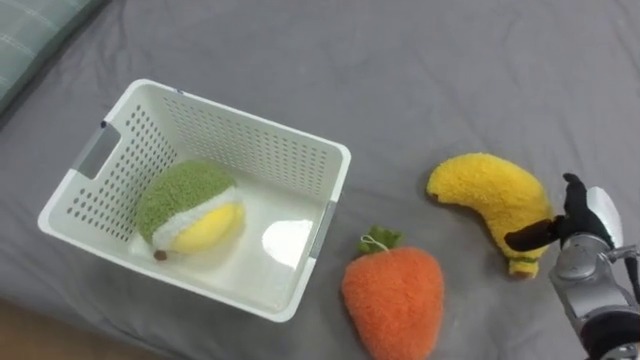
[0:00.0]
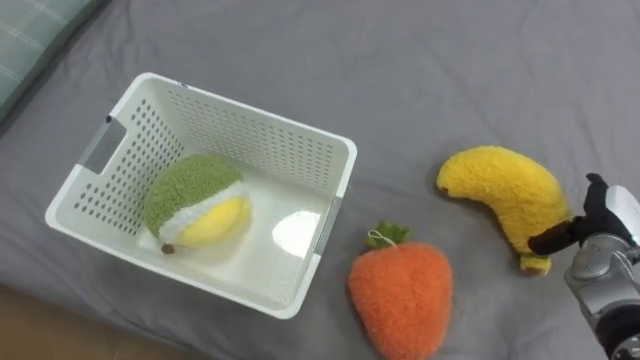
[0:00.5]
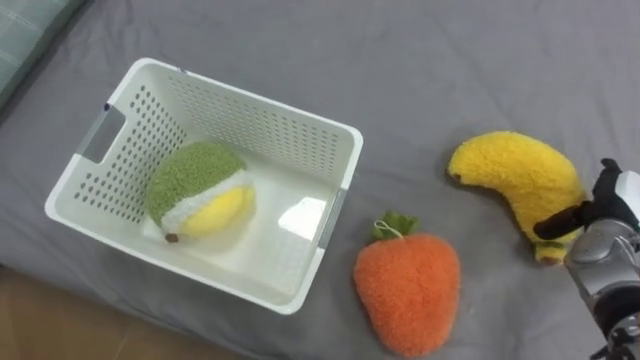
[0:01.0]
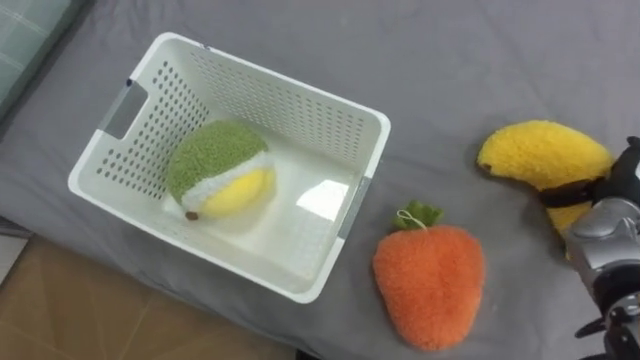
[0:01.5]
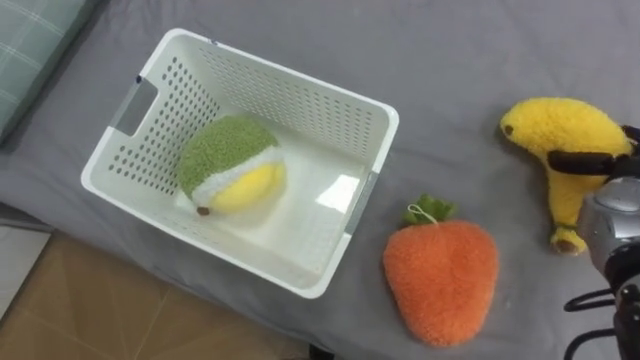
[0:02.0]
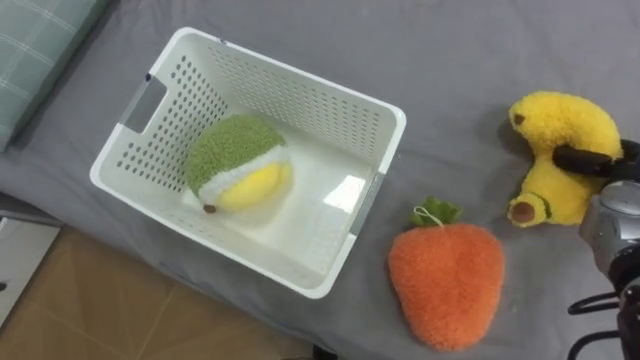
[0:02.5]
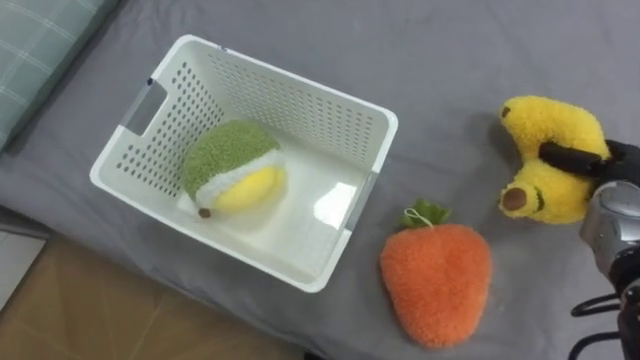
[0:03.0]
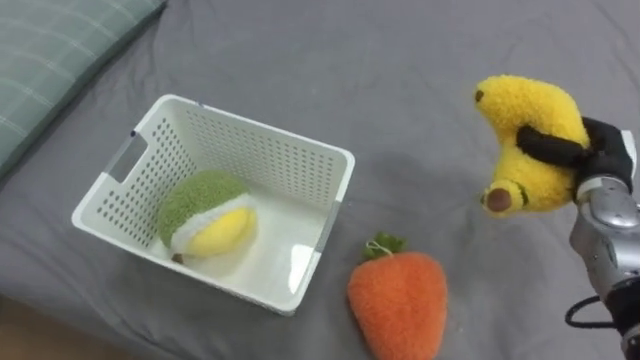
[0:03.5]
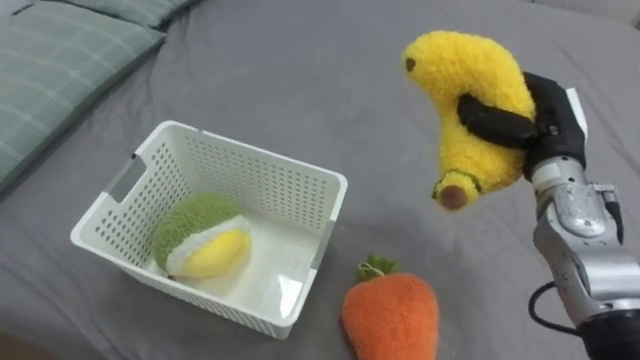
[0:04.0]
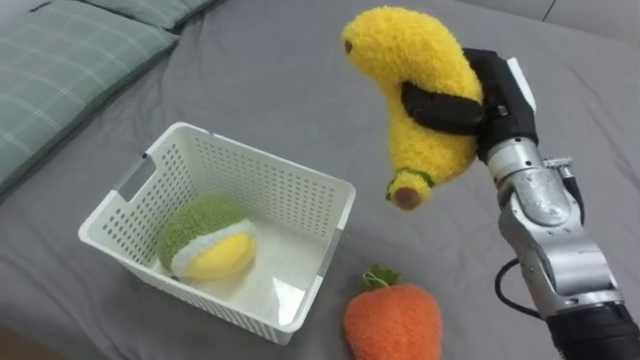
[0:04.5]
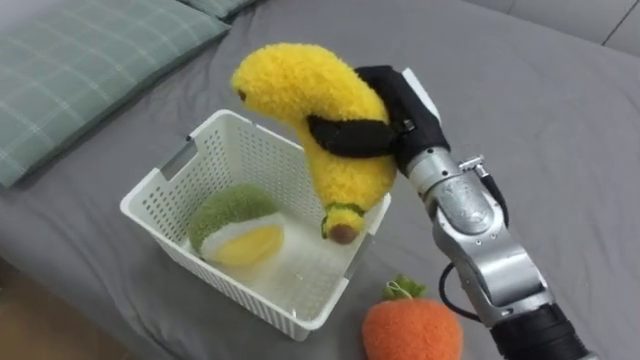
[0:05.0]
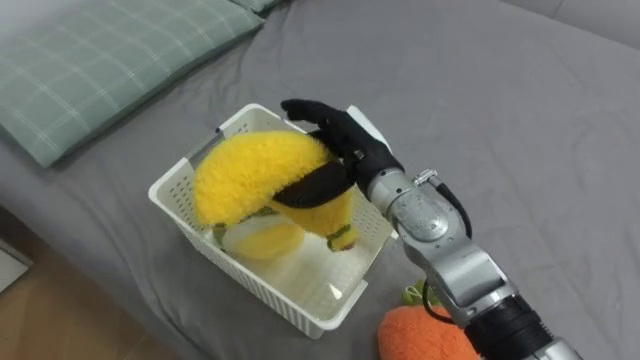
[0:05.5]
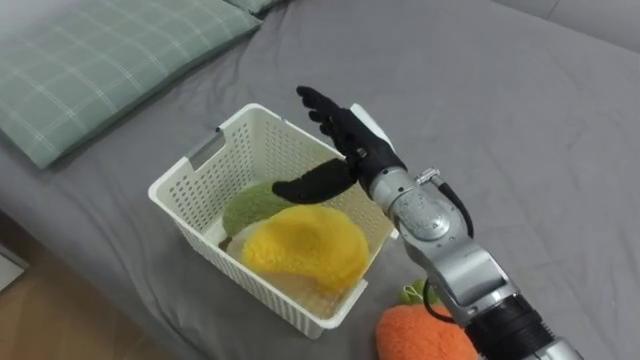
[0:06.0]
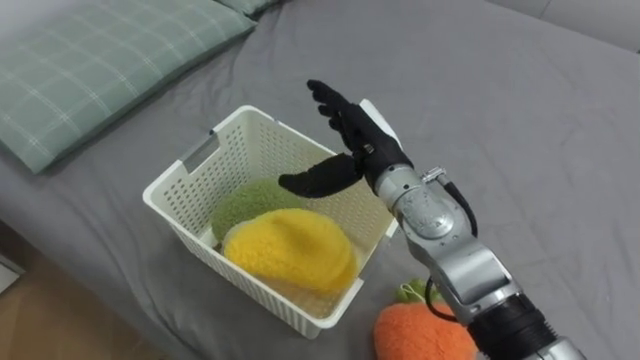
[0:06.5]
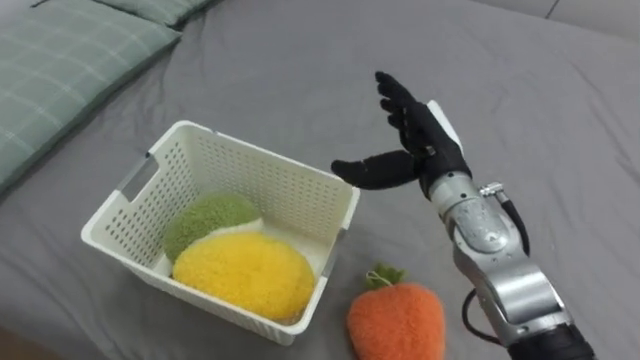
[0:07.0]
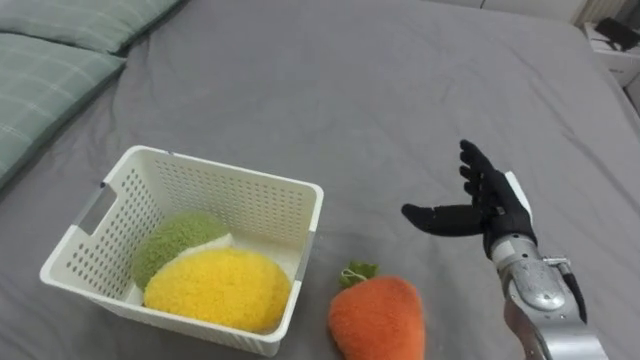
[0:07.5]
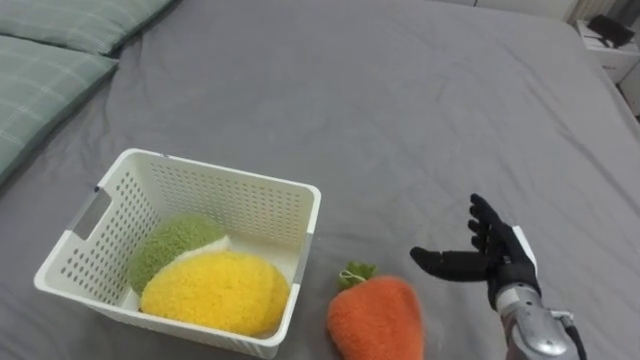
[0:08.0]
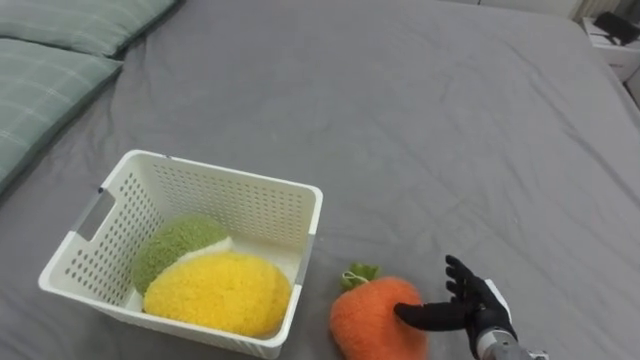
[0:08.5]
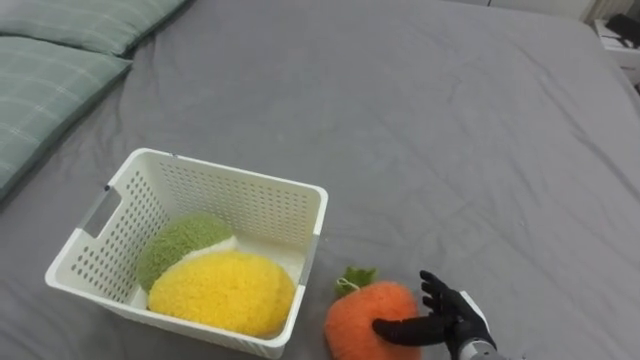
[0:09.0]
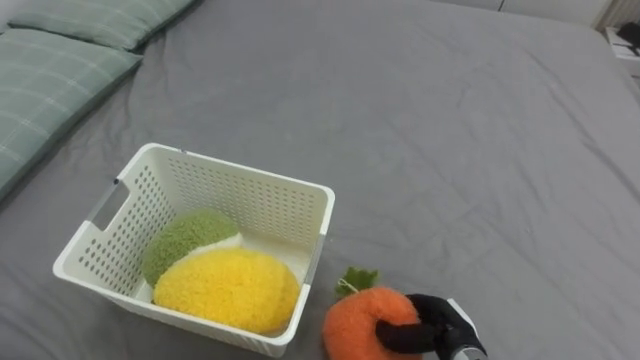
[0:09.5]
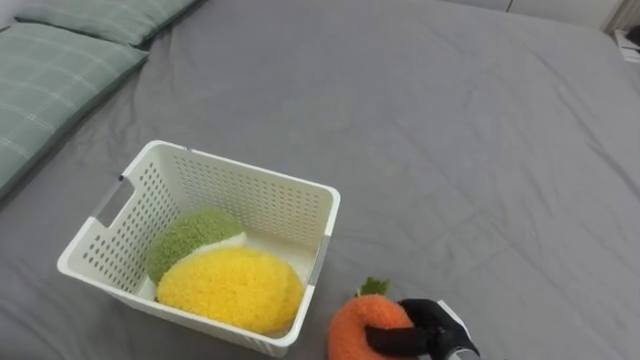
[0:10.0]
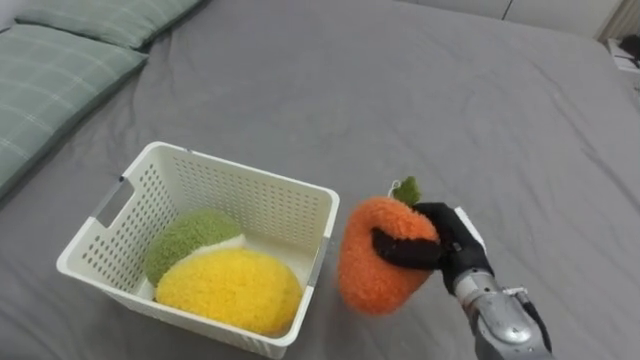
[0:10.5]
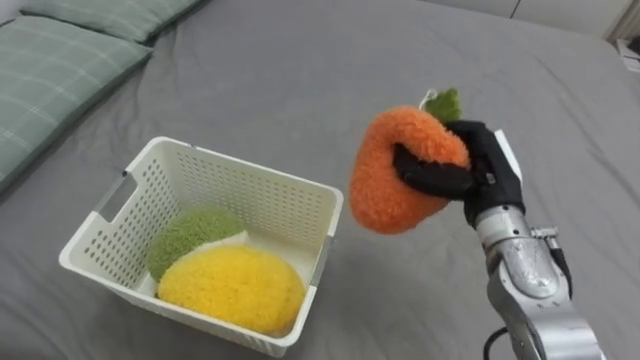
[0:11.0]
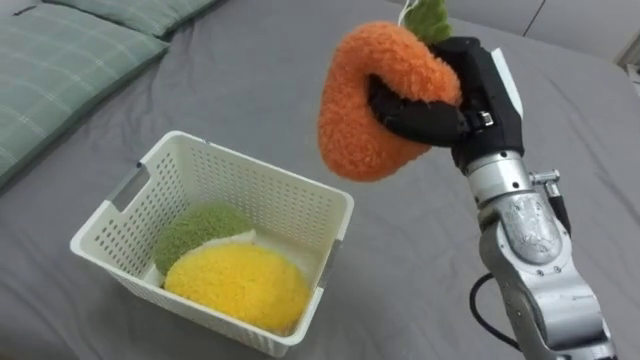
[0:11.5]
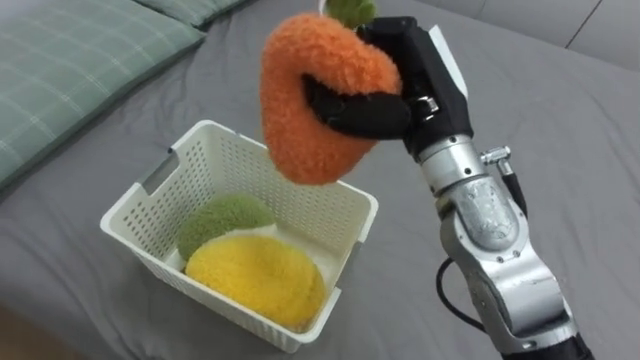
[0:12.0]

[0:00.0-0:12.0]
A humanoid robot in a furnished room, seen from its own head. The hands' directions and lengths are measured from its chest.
Task of the whole recording: Put the toys on the bed into the basket on the left.
0:00.0 to 0:02.0: The right hand is displaced upward by about 5 cm.
0:02.0 to 0:04.0: The right hand shifts about 15 cm to the left and upward, and closes its fingers.
0:04.0 to 0:06.0: The right hand goes roughly 20 cm to the left, and opens its fingers.
0:06.0 to 0:08.0: The right hand travels to the right, downward and backward by roughly 25 cm.
0:08.0 to 0:10.0: The right hand is displaced downward, to the left and backward by some 15 cm, and closes its fingers.
0:10.0 to 0:12.0: The right hand travels upward by some 35 cm.

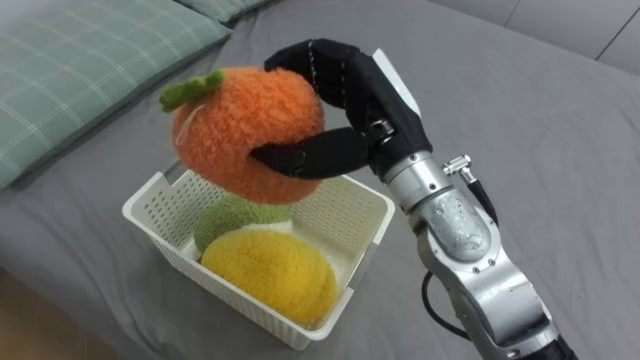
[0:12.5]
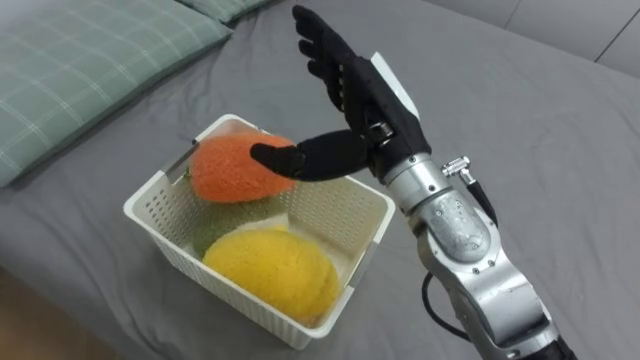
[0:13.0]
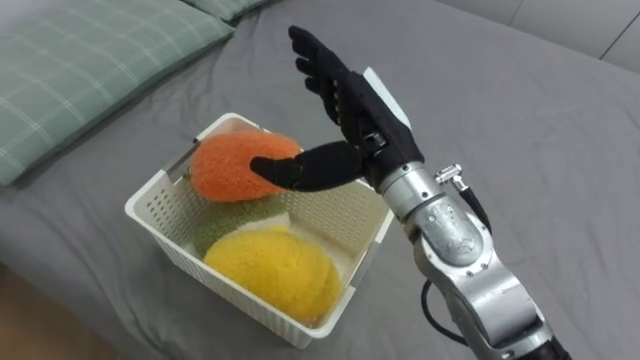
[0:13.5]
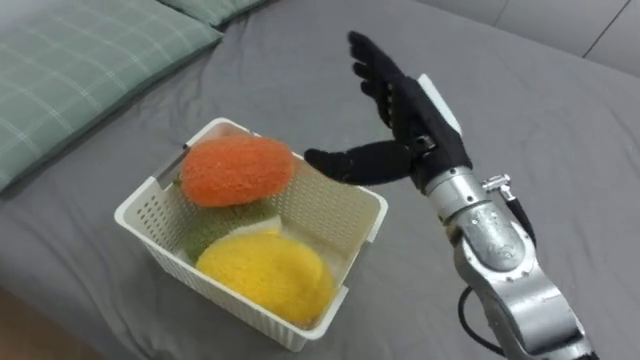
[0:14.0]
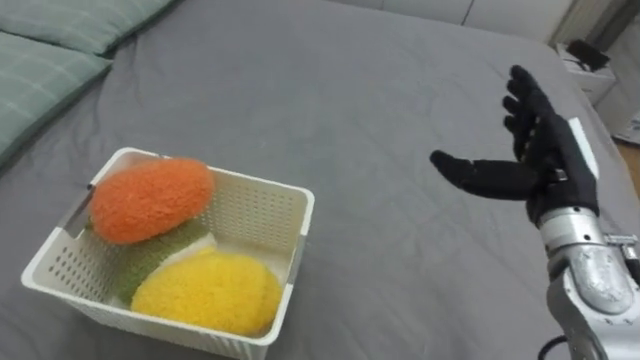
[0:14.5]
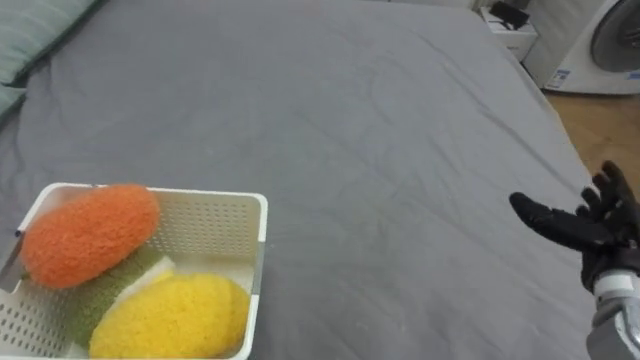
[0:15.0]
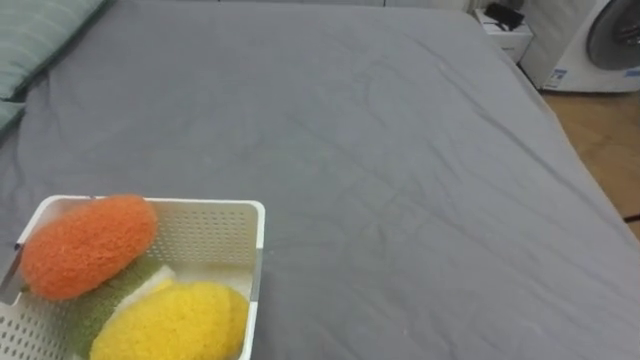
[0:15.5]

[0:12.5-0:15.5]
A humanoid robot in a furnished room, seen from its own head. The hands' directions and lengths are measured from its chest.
Task of the whole recording: Put the toys on the bed into the basket on the left.
0:12.5 to 0:14.0: The right hand moves roughly 5 cm, and opens its fingers.

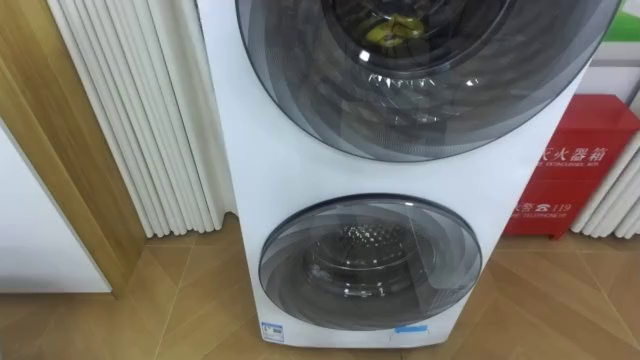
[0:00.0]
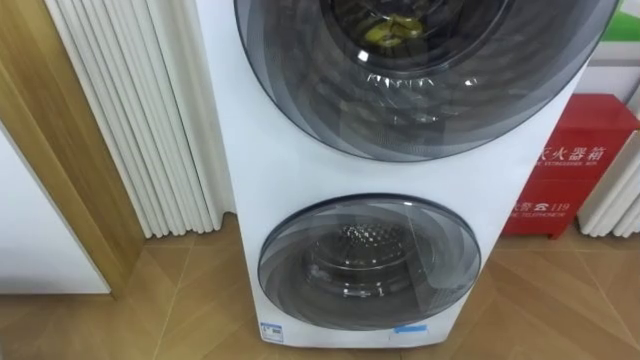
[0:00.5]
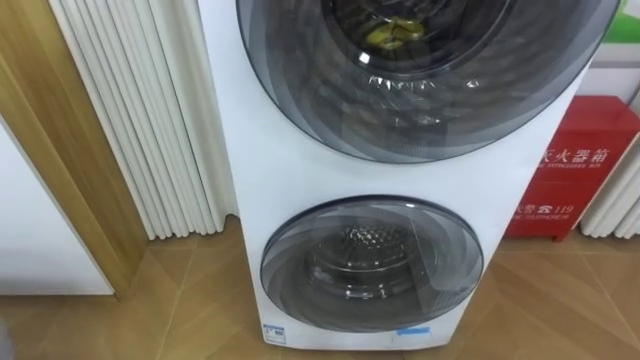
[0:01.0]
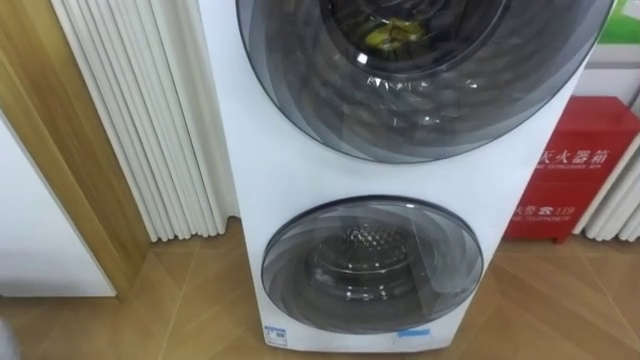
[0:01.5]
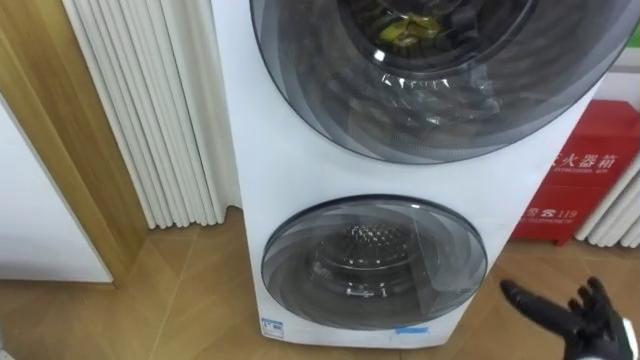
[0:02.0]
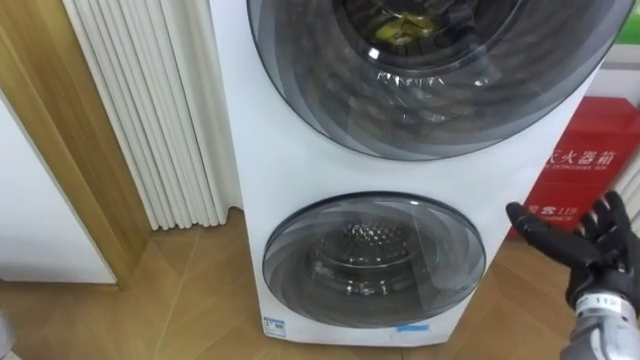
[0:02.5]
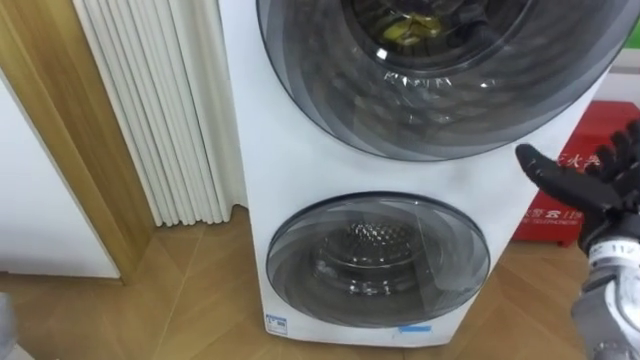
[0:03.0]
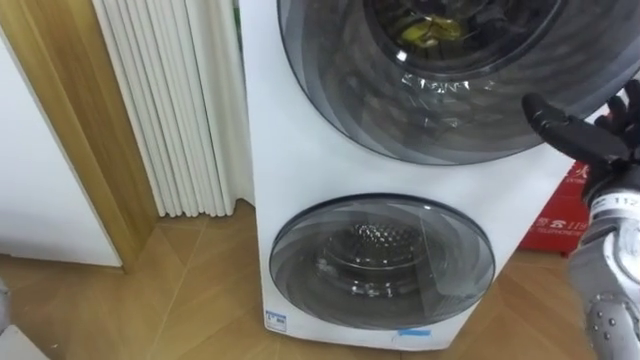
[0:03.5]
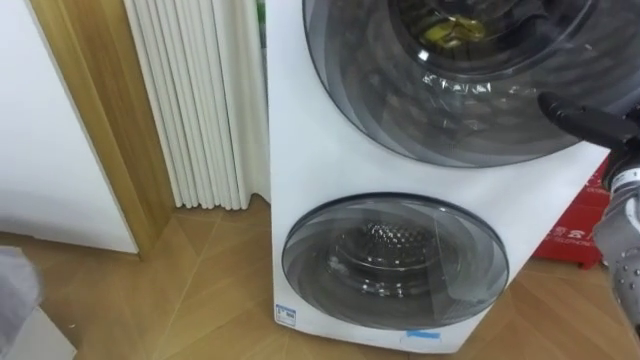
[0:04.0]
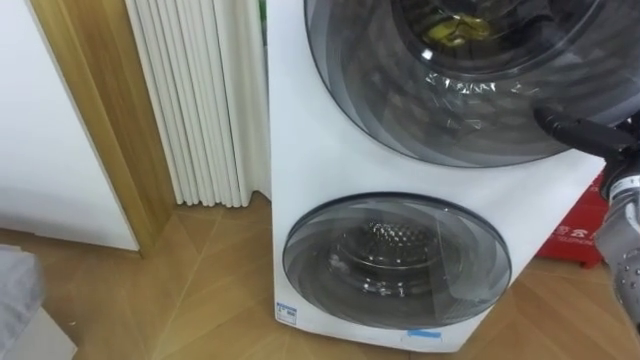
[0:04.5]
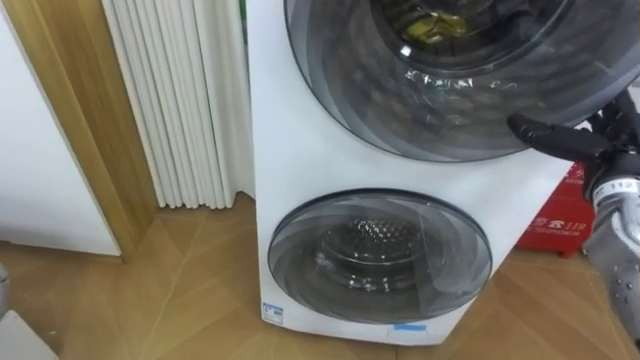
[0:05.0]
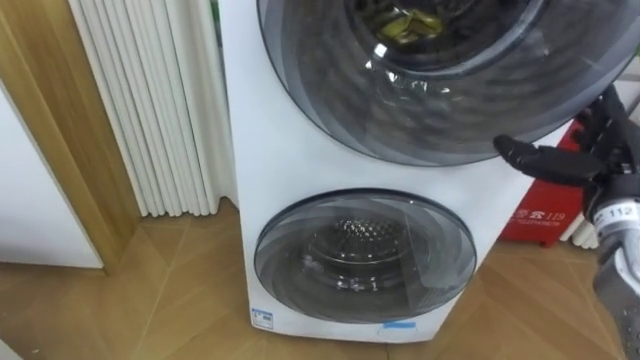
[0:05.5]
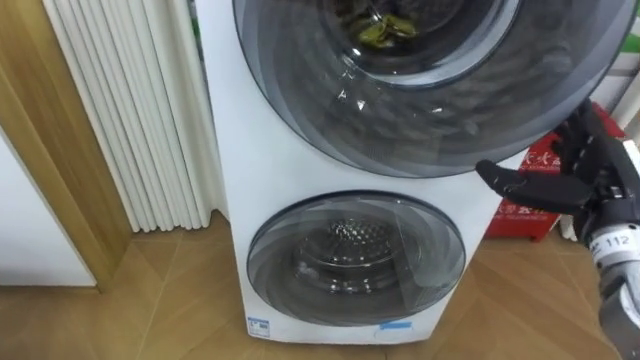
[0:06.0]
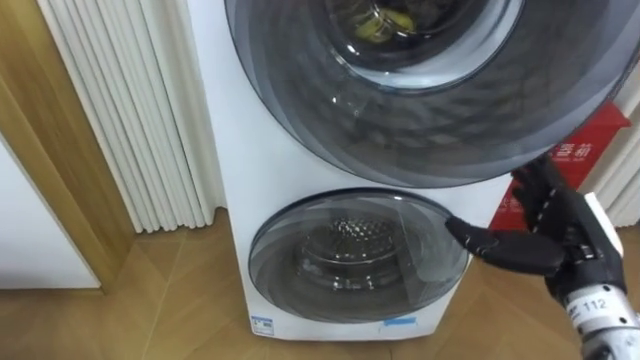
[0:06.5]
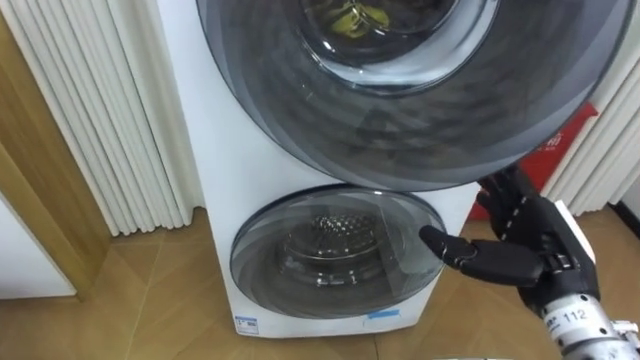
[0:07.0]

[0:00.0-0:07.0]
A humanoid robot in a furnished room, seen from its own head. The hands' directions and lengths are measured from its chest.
Task of the whole recording: Open the washing machine door, take out the yellow clothes, place them in the box on the right, and close the washing machine door.
0:02.0 to 0:03.5: The right hand is displaced upward and forward by approximately 25 cm.
0:05.0 to 0:07.0: The right hand is displaced backward and to the left by some 15 cm.
